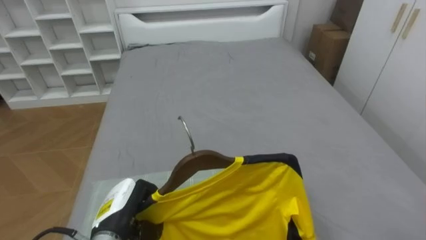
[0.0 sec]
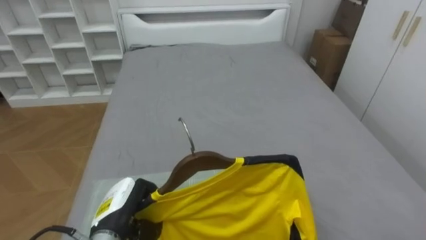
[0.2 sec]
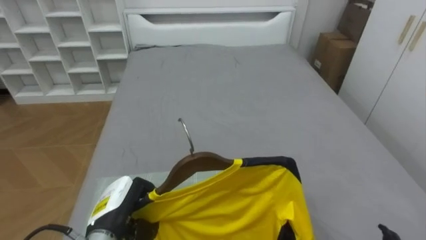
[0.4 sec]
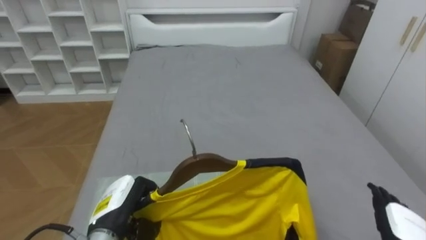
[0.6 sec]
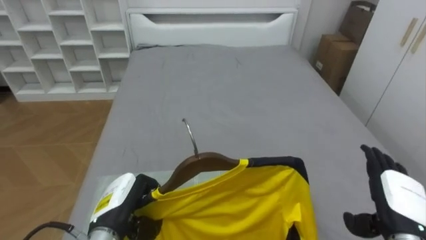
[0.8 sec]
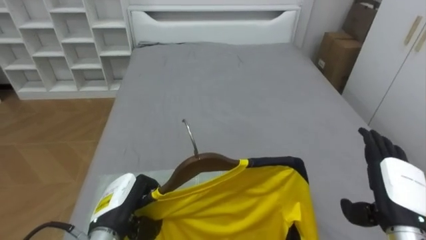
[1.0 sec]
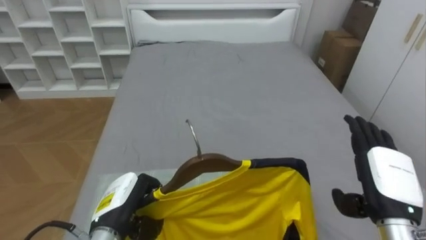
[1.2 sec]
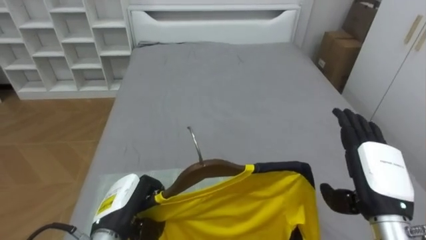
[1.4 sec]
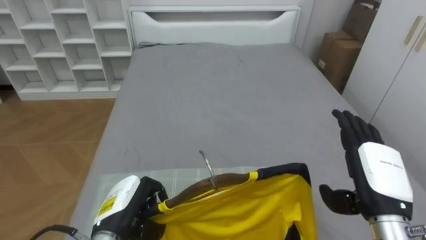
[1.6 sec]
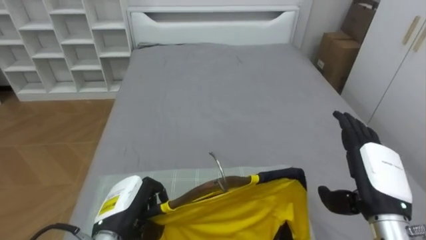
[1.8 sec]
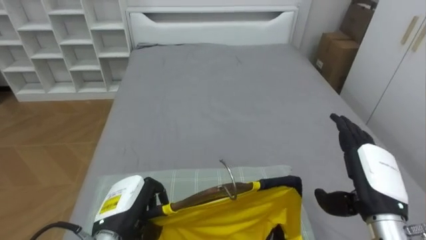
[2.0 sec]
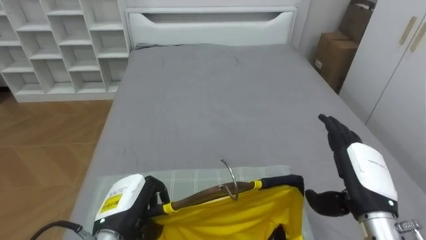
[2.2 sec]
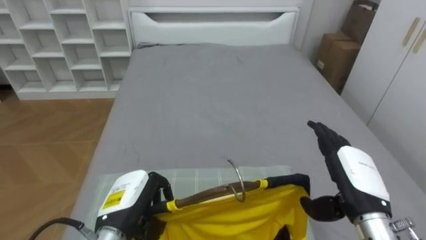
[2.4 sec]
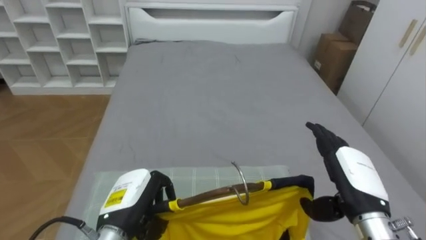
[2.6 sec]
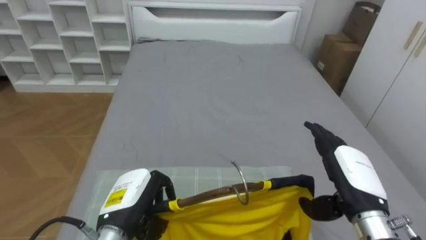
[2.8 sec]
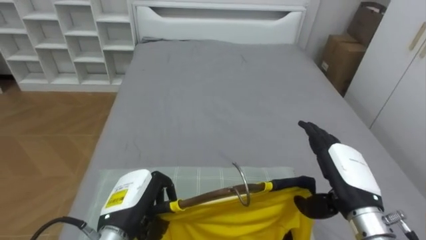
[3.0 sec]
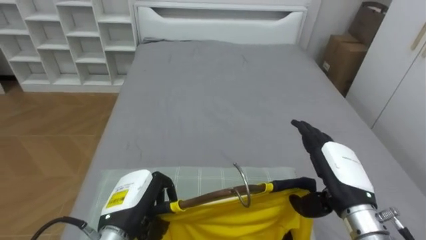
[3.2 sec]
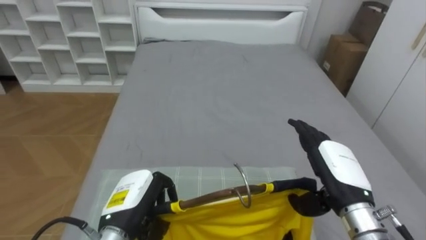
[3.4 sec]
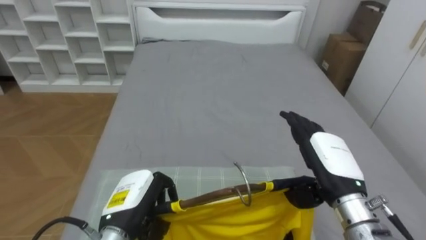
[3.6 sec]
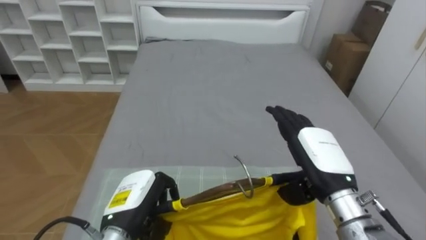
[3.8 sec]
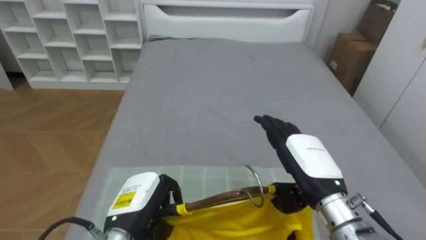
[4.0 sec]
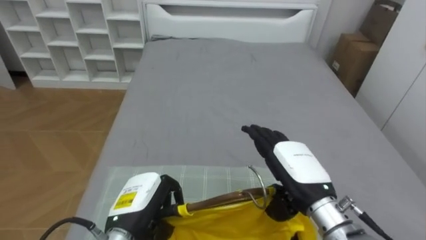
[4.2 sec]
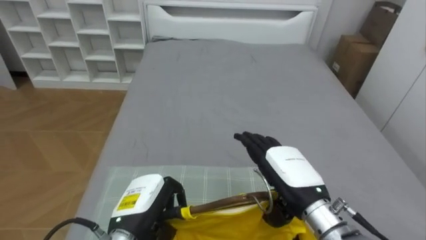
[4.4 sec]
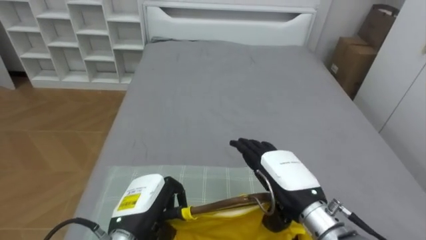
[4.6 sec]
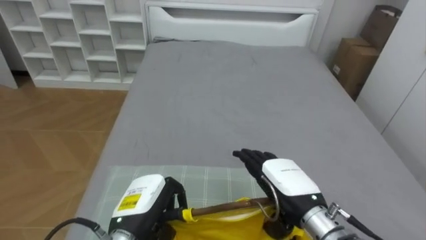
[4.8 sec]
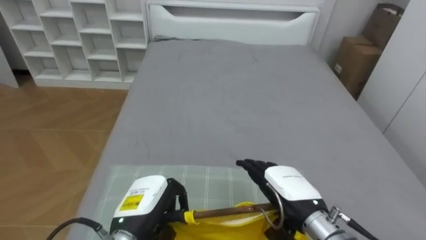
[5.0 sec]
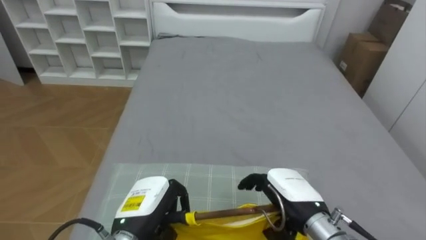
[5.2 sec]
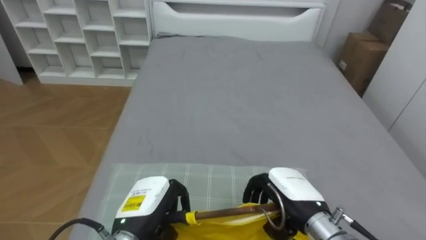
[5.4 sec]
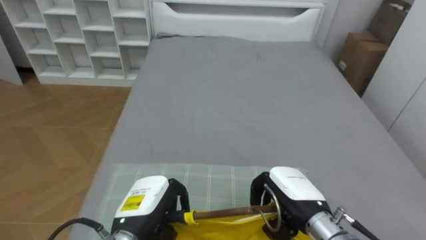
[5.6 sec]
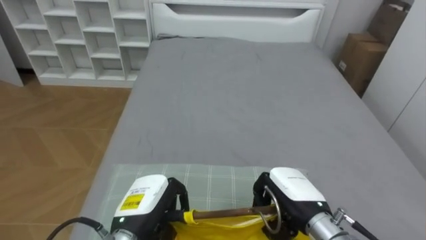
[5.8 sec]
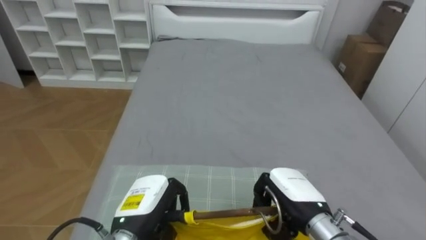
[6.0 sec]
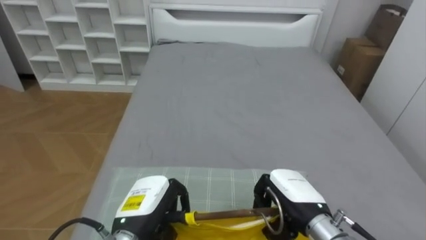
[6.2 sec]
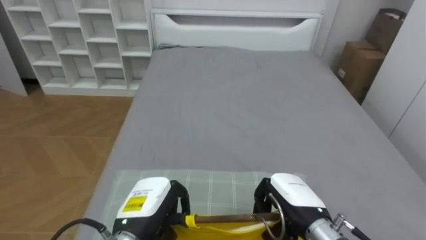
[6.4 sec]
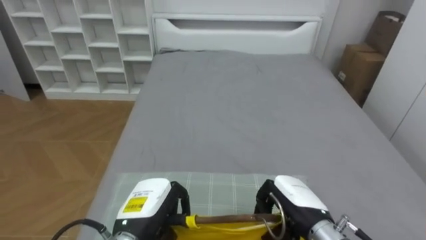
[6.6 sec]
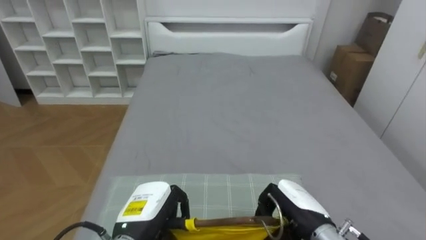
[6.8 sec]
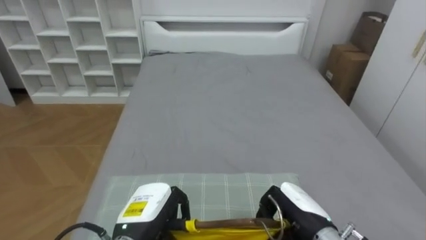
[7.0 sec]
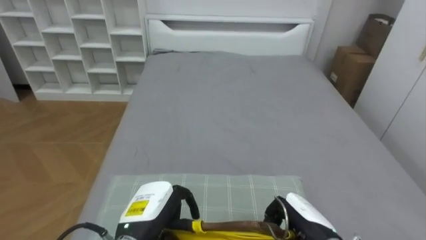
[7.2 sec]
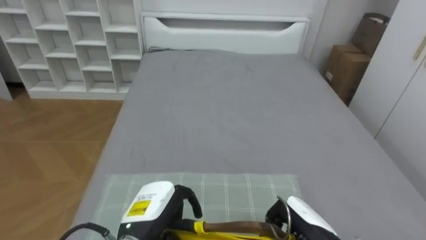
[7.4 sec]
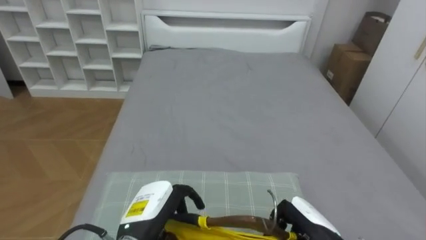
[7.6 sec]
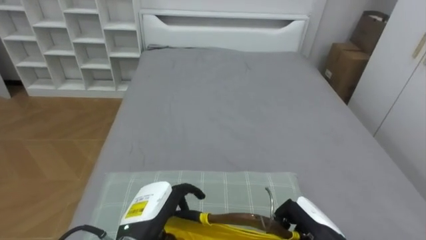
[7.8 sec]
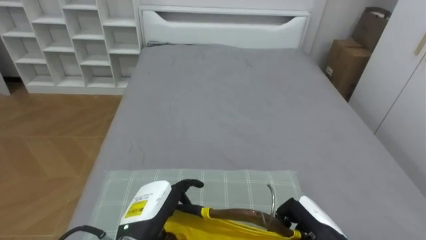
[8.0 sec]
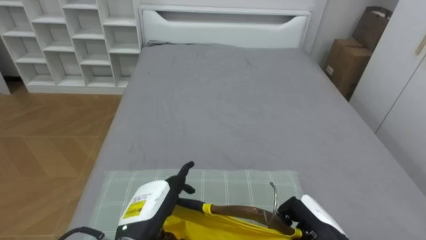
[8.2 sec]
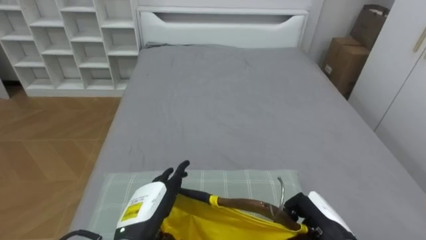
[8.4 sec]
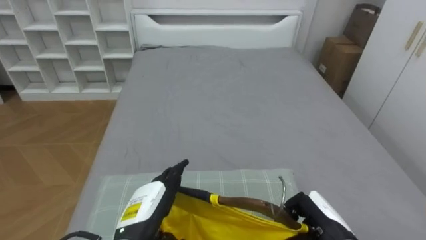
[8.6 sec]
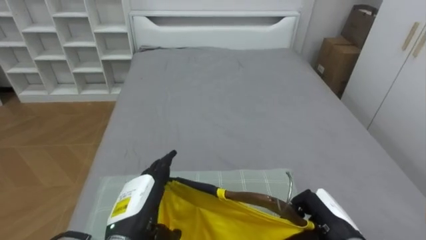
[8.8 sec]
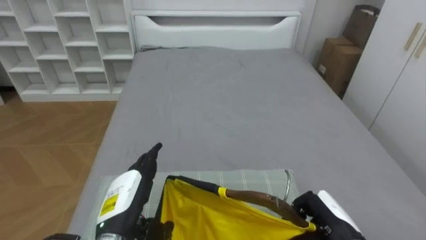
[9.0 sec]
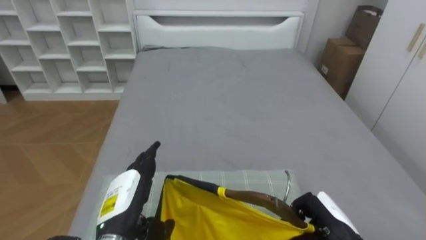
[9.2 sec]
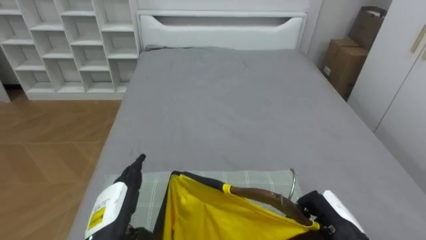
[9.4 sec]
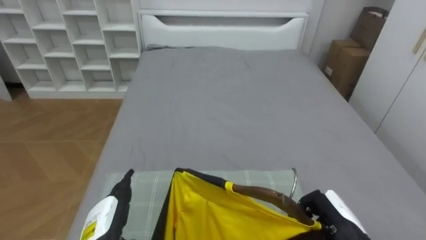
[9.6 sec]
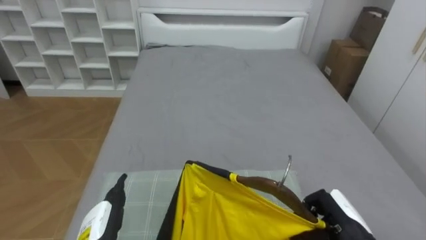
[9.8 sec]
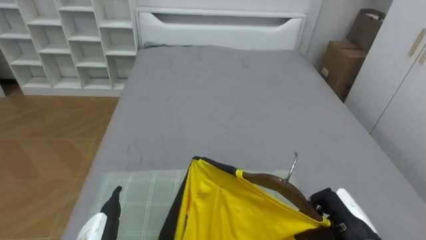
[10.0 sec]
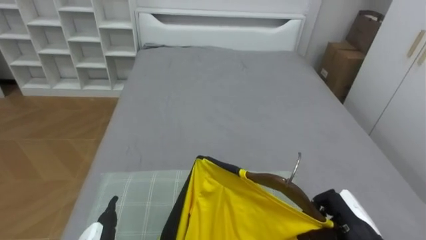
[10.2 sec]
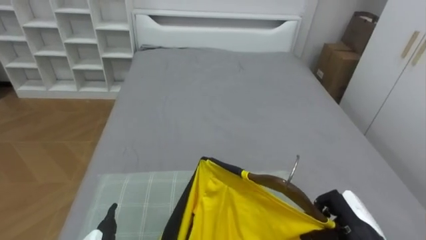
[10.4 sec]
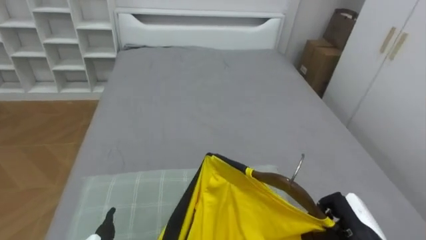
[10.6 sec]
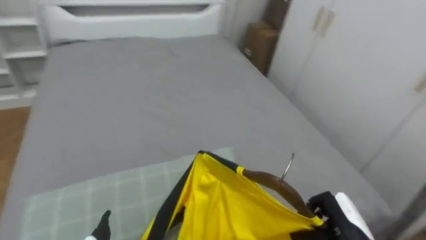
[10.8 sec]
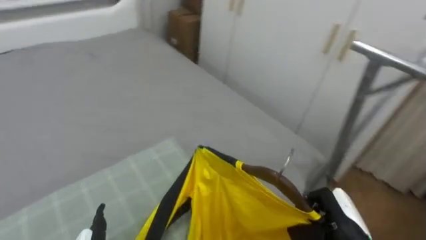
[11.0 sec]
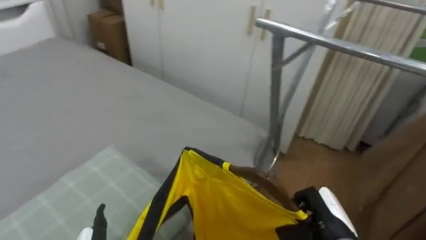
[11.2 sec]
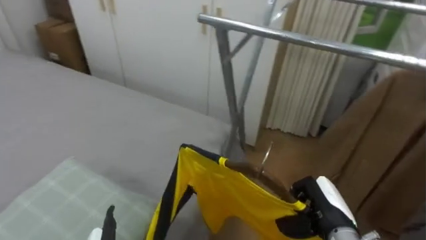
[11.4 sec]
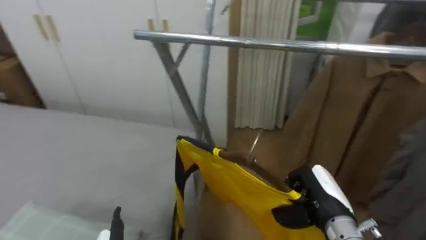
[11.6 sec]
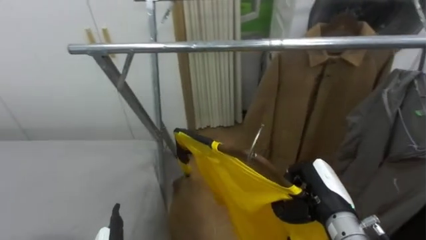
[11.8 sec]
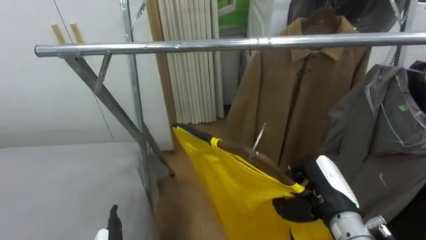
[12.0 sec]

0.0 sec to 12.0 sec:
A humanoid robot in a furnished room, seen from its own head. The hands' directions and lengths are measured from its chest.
Task of the whole recording: Pick up the yellow shirt on the bed and hang it on the clothes rack on the right.
3.0 sec to 4.4 sec: The right hand moves to the left, about 10 cm.
4.4 sec to 6.0 sec: The right hand moves approximately 5 cm, and closes up.
6.0 sec to 7.6 sec: The right hand heads downward, covering about 5 cm.
7.6 sec to 9.0 sec: The left hand opens.
10.4 sec to 12.0 sec: The robot turns to its right by about 90 degrees. The right hand is displaced upward and to the left by roughly 10 cm.

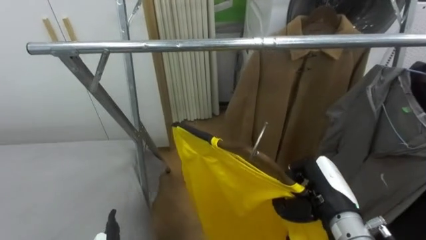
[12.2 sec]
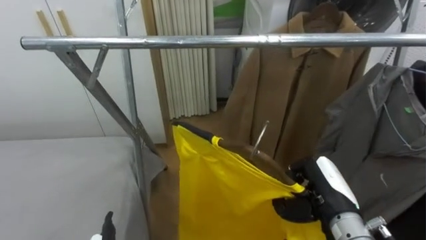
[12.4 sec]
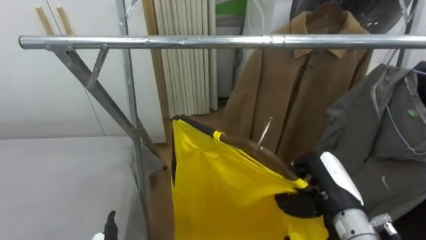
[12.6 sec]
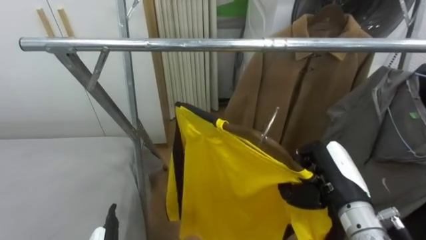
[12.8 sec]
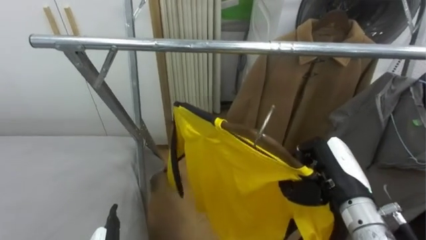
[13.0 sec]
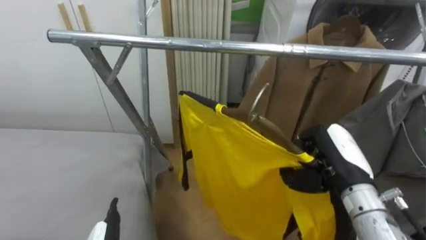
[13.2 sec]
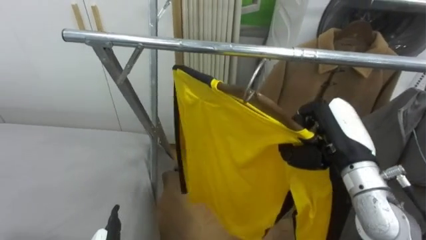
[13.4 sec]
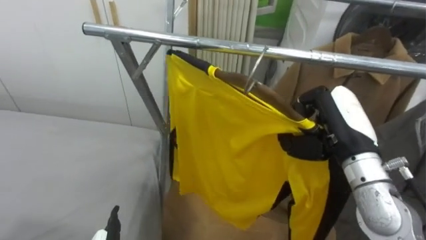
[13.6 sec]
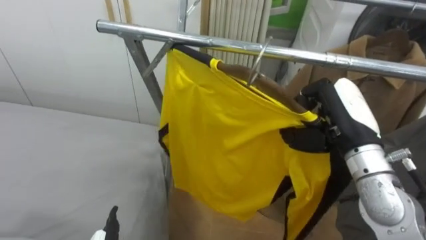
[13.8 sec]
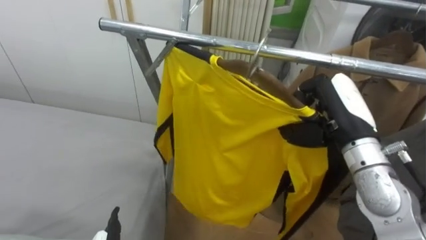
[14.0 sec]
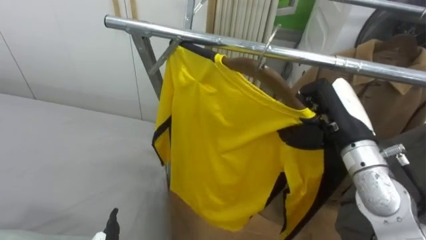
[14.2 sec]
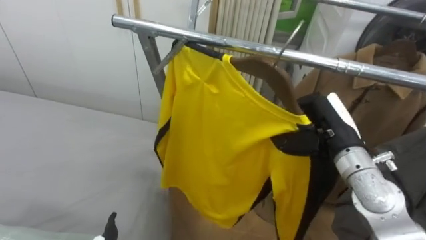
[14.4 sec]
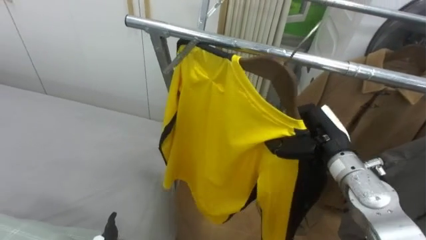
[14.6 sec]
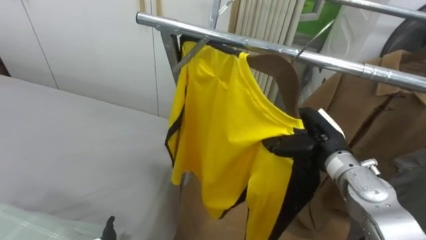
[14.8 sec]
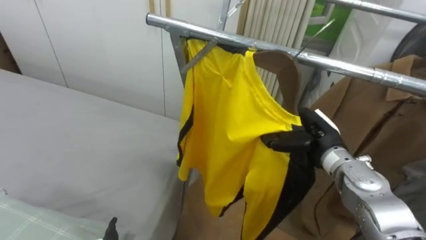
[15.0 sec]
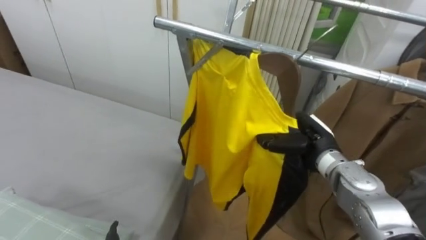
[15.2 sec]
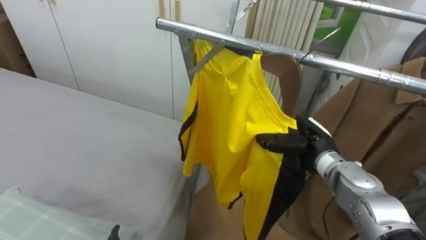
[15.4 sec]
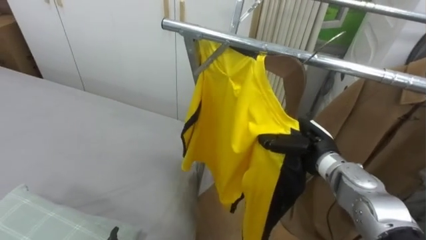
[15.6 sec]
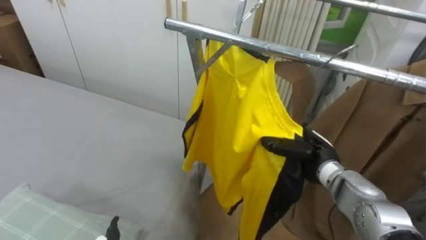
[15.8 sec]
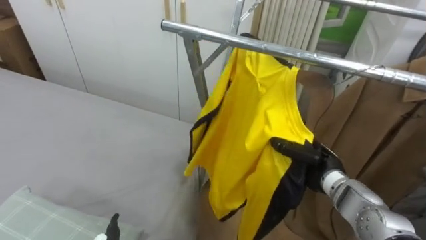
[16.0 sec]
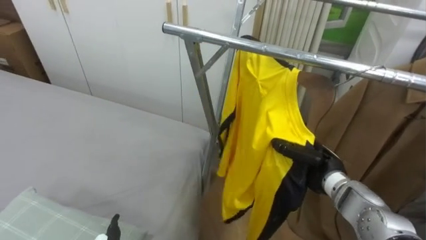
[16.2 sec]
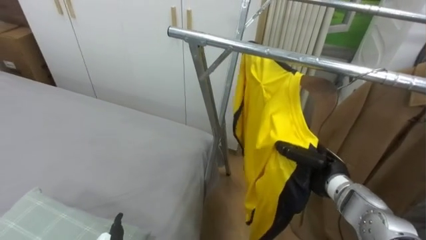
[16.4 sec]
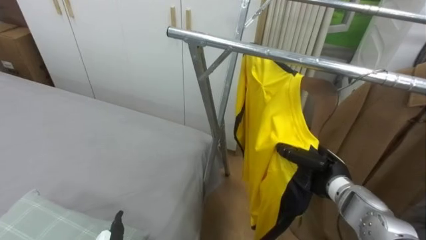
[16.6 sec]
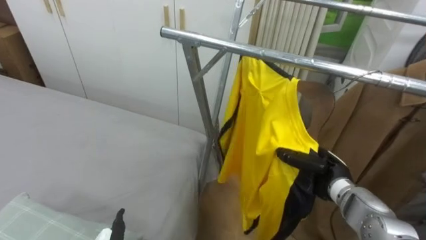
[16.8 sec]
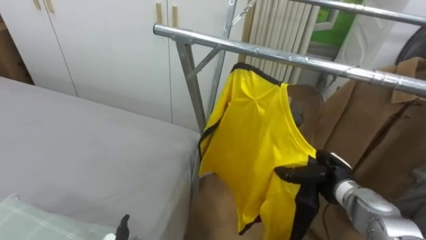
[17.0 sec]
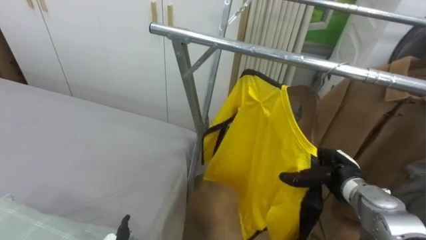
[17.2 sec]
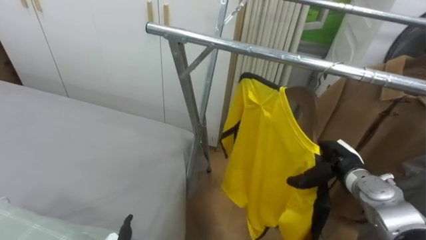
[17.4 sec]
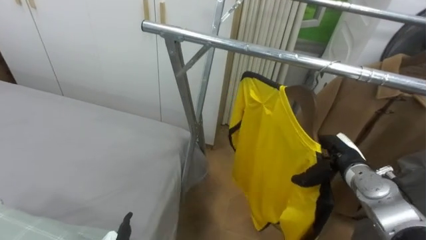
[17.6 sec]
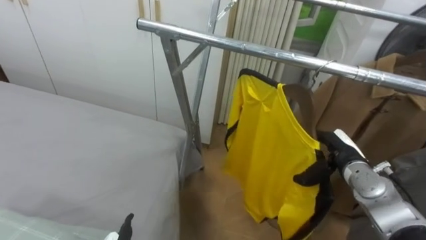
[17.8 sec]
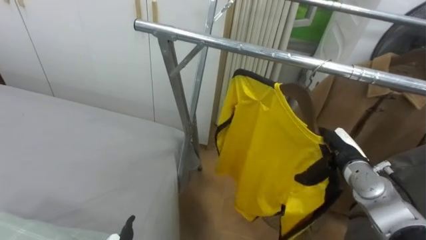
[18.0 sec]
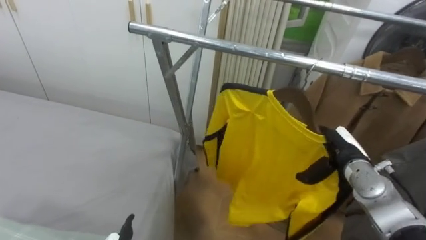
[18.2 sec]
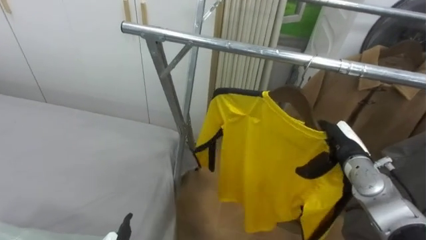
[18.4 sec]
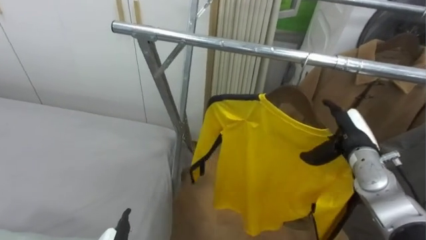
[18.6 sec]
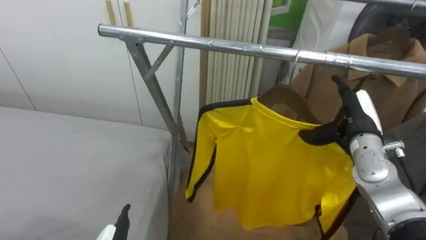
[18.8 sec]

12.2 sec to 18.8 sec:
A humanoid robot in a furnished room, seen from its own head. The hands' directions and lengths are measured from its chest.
Task of the whole recording: Pick up the yellow shirt on the bed and hang it on the clothes rack on the right.
12.2 sec to 13.8 sec: The right hand goes about 15 cm upward.
13.8 sec to 15.4 sec: The right hand is displaced downward and forward by about 10 cm.
15.4 sec to 17.2 sec: The right hand heads downward and to the right, covering about 10 cm, and opens up.
17.2 sec to 18.8 sec: The right hand travels upward by approximately 10 cm, and opens its fingers.
